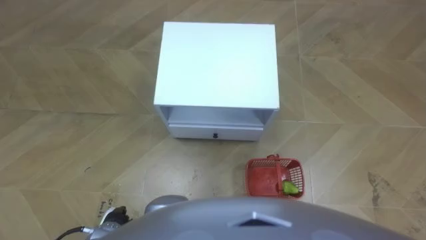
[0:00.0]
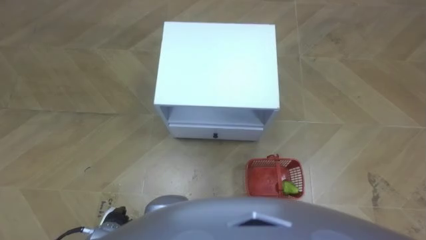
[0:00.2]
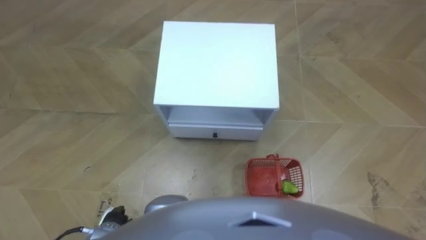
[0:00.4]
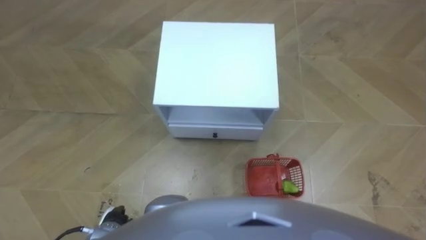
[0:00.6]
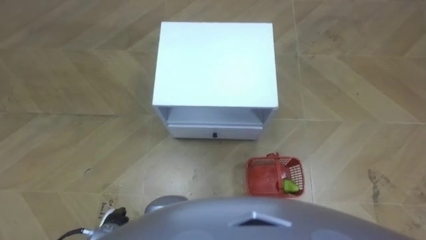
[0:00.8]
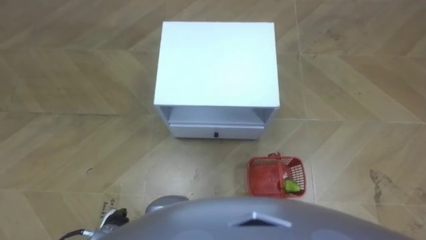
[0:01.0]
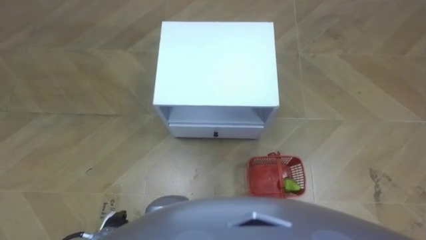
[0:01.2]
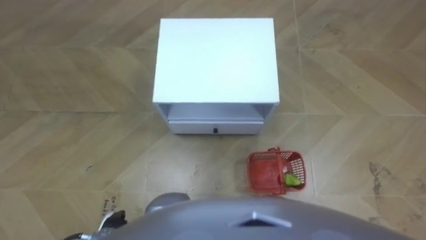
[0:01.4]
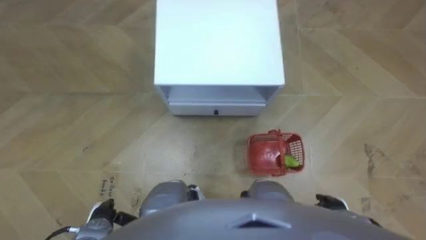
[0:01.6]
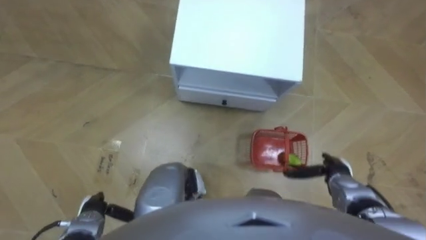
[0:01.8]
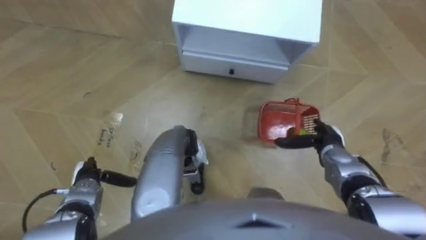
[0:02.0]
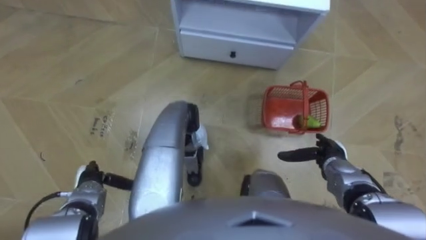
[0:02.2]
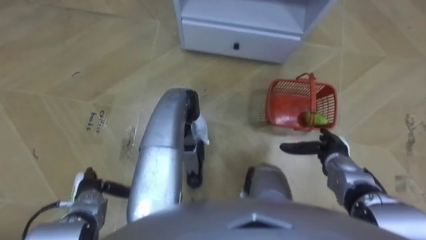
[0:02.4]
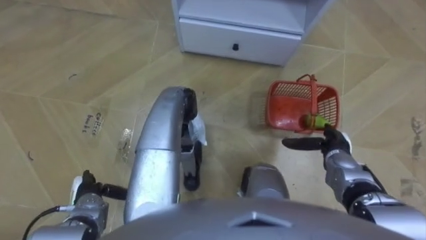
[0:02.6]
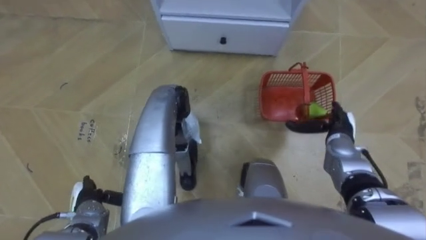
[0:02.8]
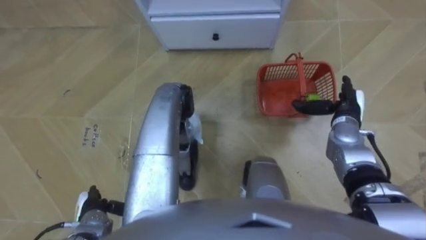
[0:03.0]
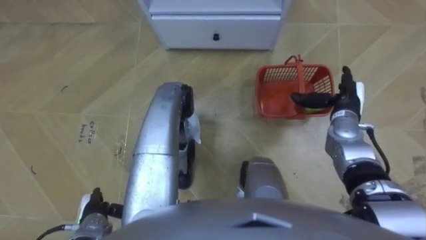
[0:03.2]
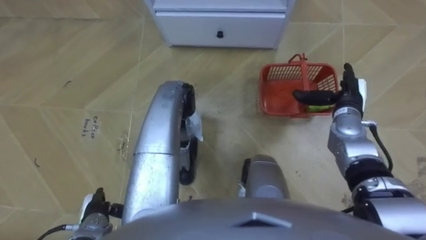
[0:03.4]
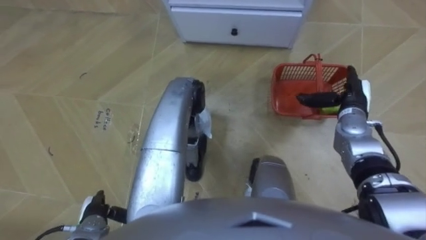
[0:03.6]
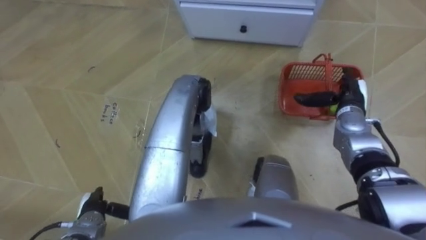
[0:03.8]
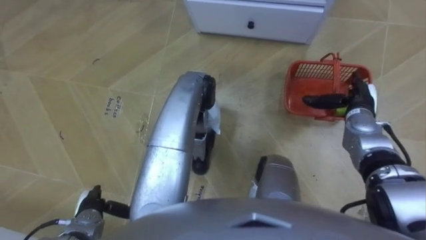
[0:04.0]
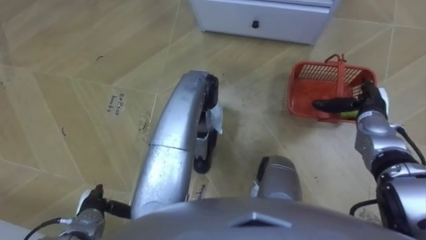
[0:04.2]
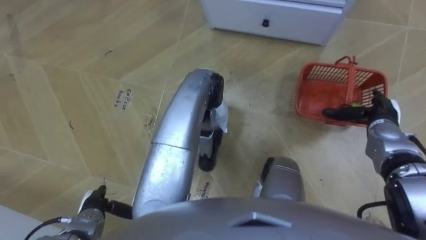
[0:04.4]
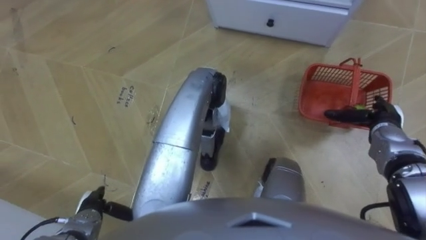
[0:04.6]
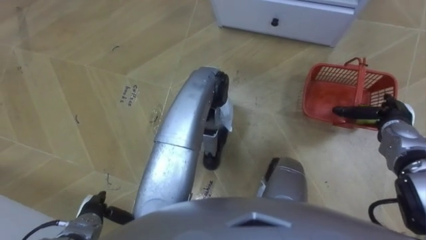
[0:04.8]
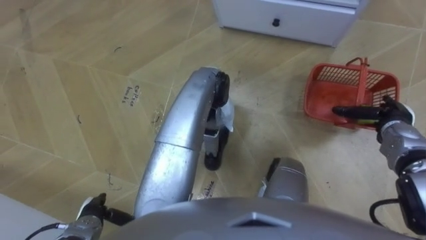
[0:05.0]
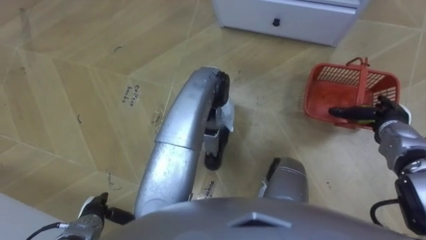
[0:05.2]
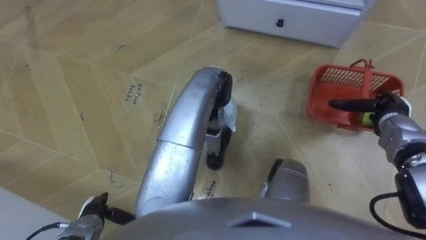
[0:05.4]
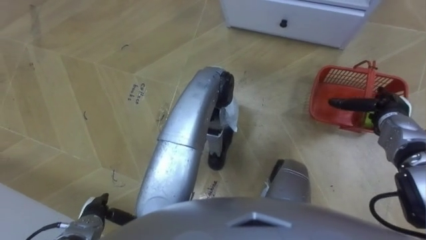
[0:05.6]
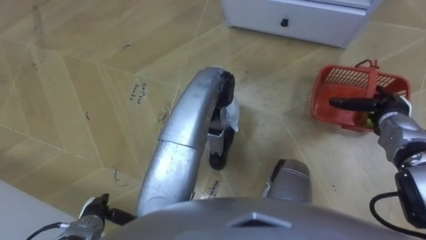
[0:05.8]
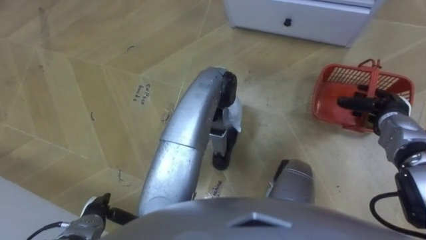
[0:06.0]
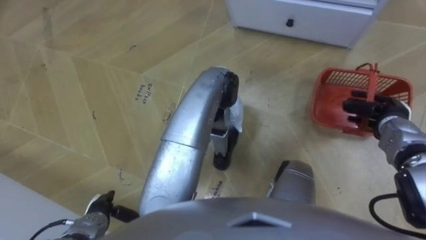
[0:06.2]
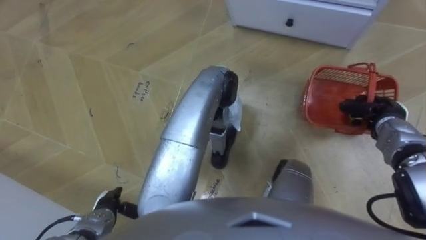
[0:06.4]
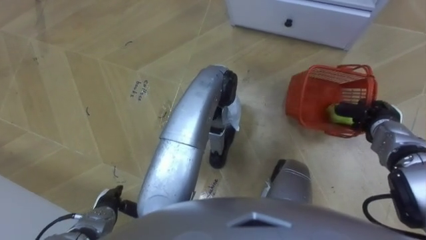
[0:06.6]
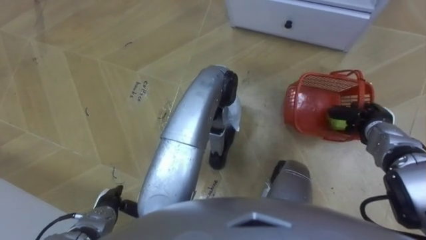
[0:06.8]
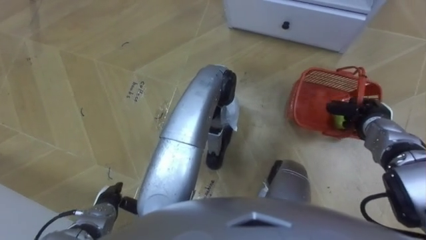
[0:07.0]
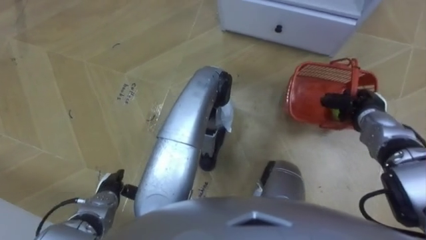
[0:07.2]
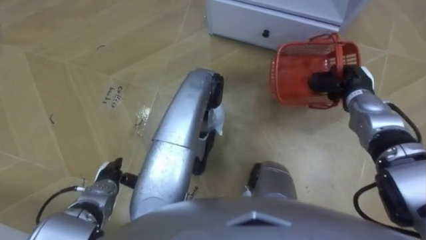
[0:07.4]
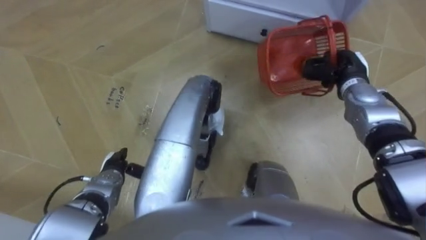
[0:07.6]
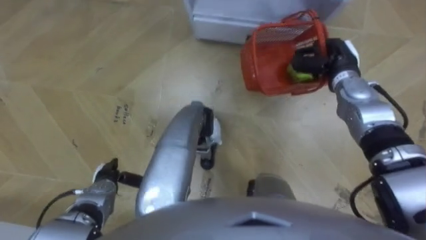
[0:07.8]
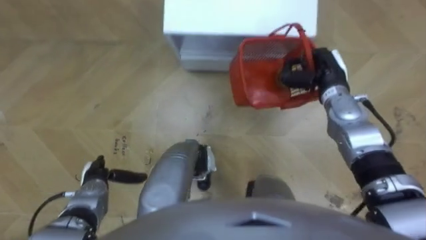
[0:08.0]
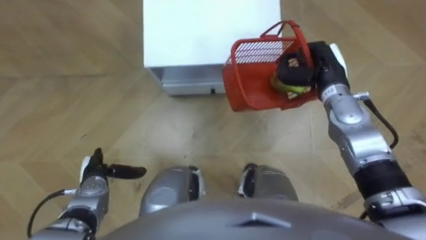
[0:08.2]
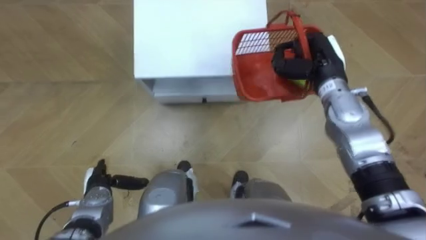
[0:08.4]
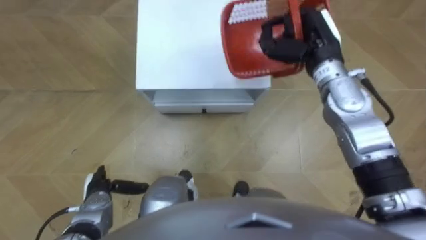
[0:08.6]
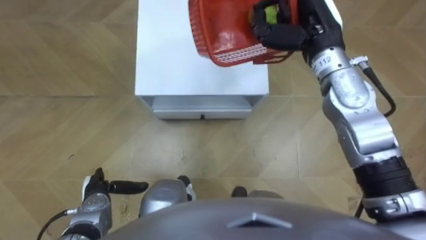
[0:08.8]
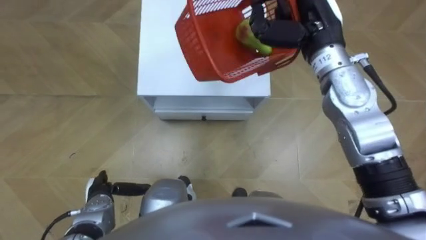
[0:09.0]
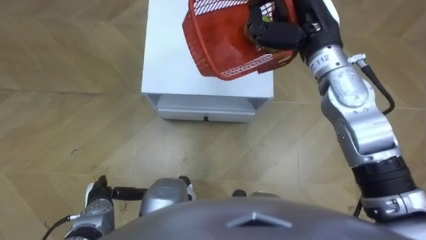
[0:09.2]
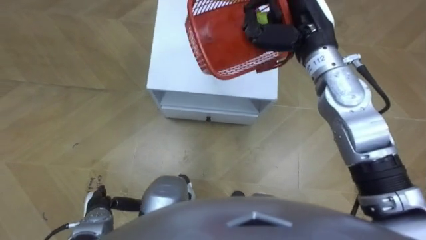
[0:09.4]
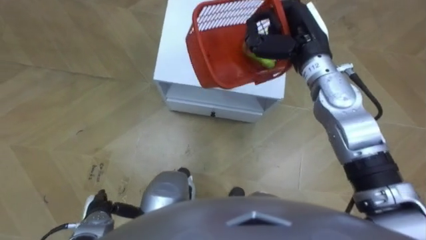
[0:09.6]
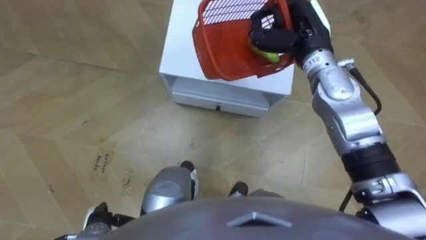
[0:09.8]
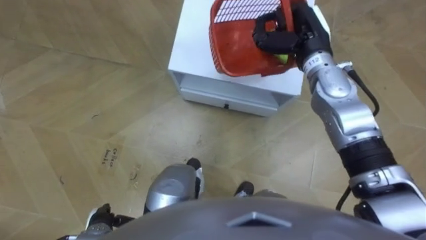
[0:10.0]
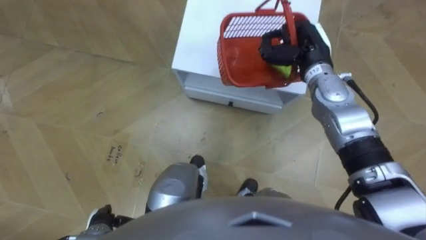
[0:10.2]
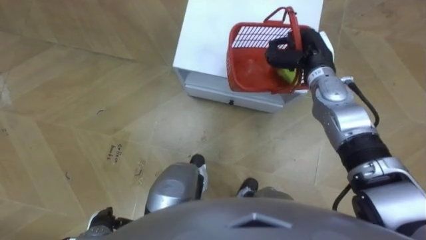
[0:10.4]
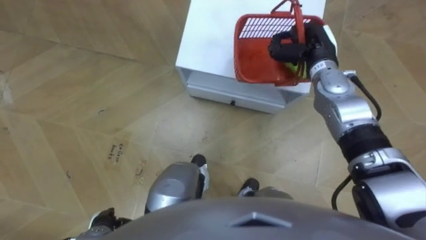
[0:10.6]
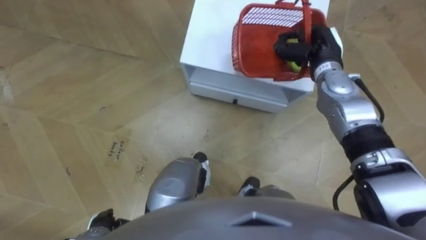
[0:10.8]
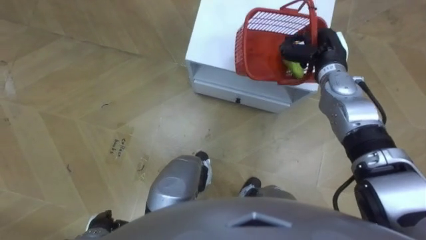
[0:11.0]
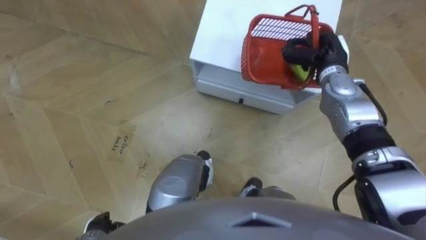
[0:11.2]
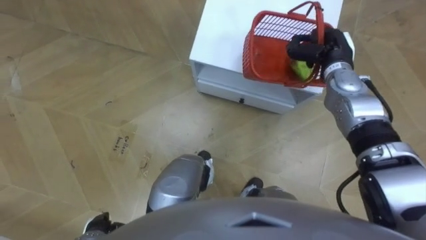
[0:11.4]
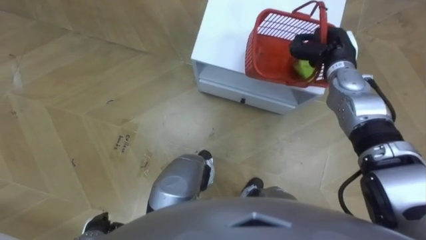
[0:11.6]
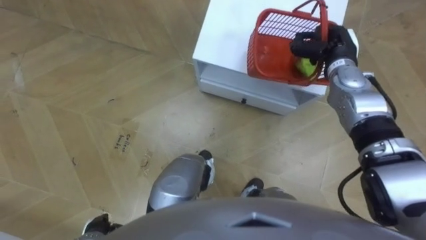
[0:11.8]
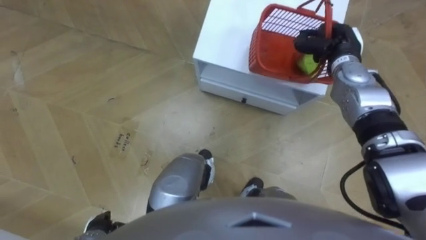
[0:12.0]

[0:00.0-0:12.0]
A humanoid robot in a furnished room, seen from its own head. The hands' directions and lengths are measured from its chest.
Task of the whole recording: Pick up the fruit basket from the floor and place it on the cabinet.
0:01.6 to 0:03.0: The right hand goes roughly 25 cm forward and upward; the left hand reaches about 10 cm forward, then returns.
0:03.0 to 0:04.4: The right hand travels to the right by roughly 5 cm.
0:06.0 to 0:07.6: The right hand is displaced to the left and forward by about 10 cm, and closes. Meanwhile the left hand moves forward, roughly 10 cm.
0:07.6 to 0:09.0: The right hand shifts about 20 cm upward and to the left, while the left hand moves backward, roughly 5 cm.
0:09.0 to 0:10.4: The left hand goes some 5 cm backward; the right hand shifts approximately 10 cm downward.
0:10.4 to 0:12.0: The right hand shifts about 5 cm to the right.

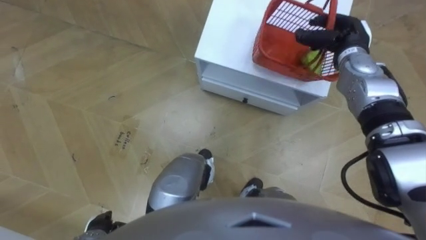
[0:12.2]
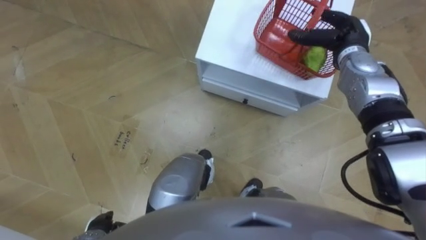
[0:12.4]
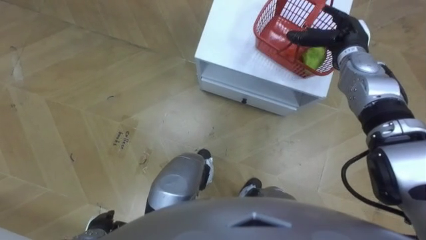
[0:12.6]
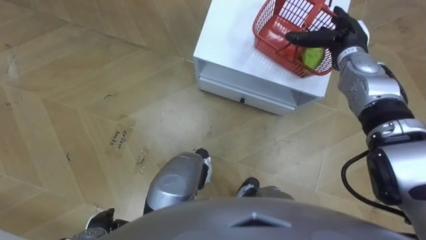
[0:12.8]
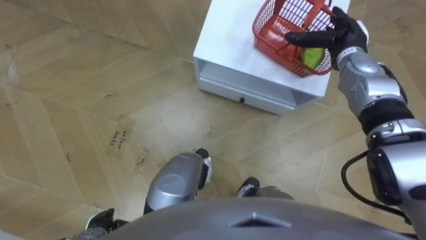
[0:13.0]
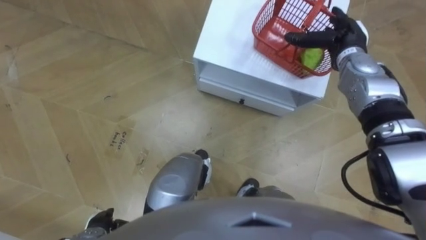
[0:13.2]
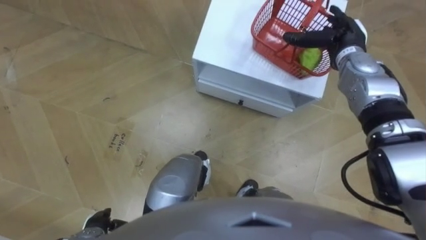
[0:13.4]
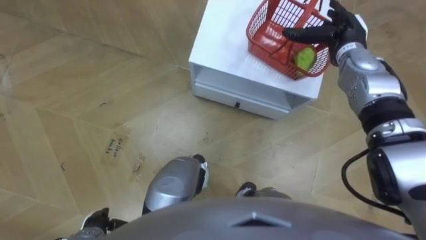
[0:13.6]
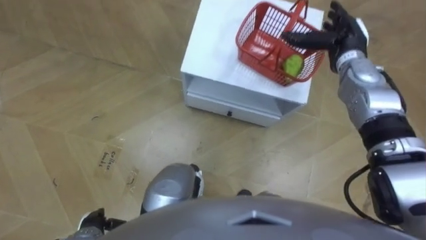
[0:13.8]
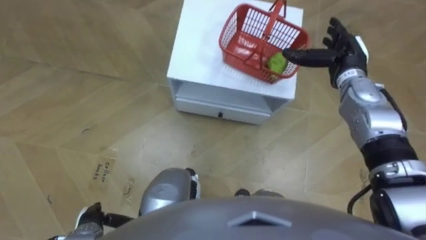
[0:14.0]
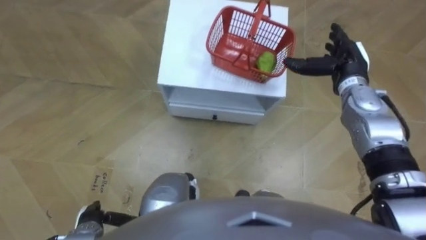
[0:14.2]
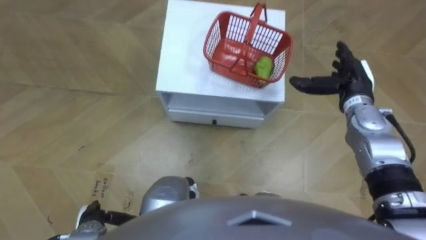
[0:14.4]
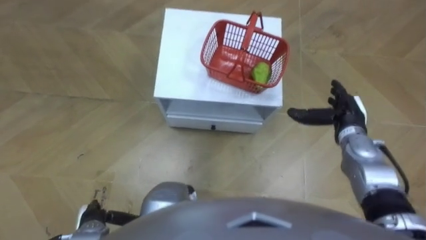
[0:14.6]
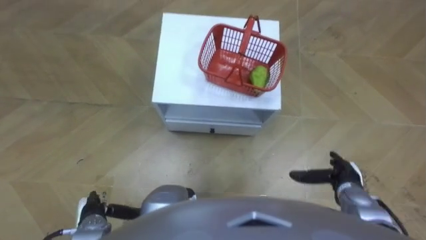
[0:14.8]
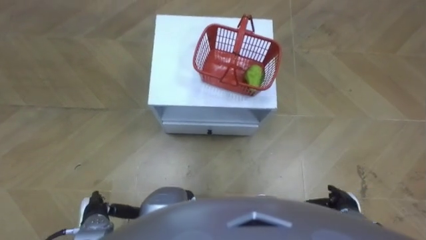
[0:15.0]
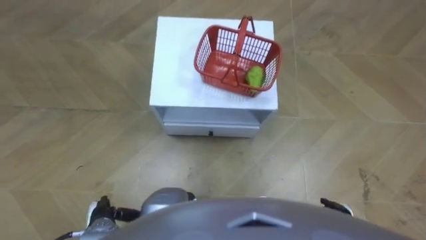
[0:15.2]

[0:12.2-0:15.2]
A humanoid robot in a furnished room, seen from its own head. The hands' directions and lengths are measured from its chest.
Task of the whole recording: Pick up the fruit basket from the floor and place it on the cabinet.
0:12.2 to 0:13.8: The right hand opens up.
0:13.8 to 0:15.2: The right hand travels backward and downward by approximately 40 cm.

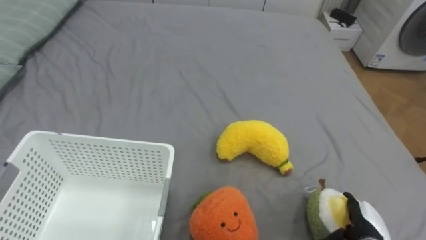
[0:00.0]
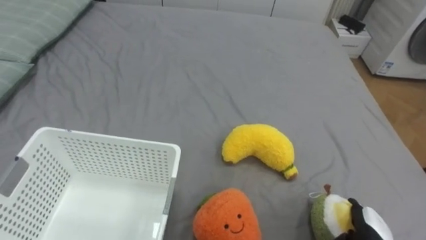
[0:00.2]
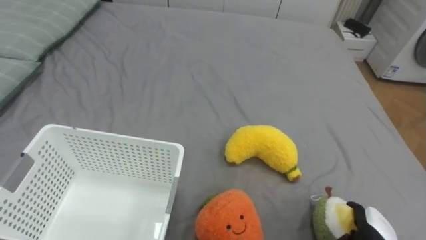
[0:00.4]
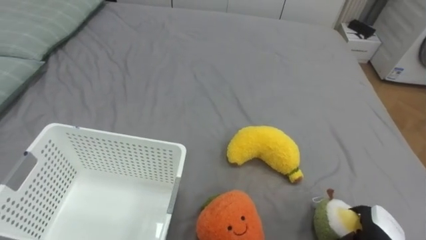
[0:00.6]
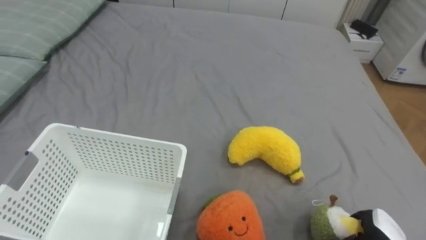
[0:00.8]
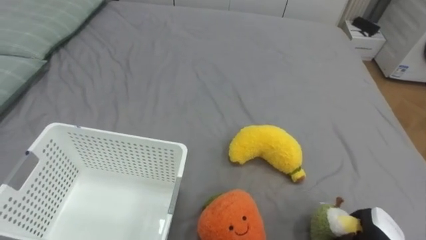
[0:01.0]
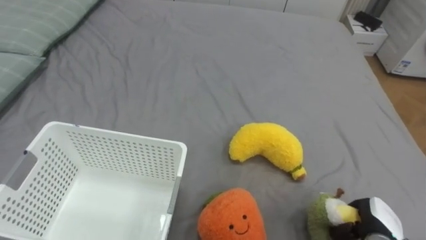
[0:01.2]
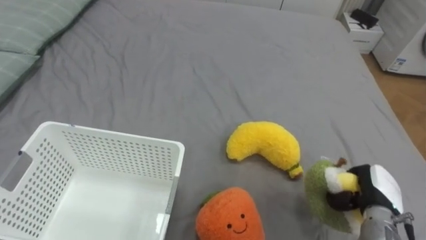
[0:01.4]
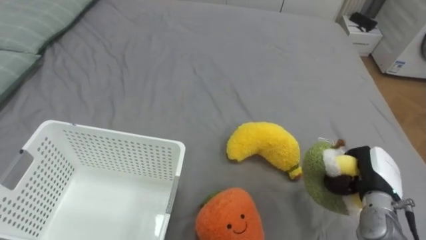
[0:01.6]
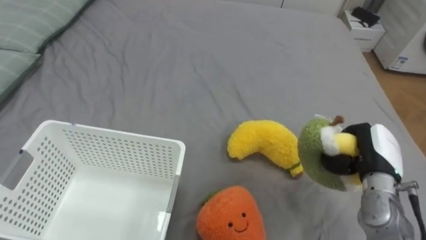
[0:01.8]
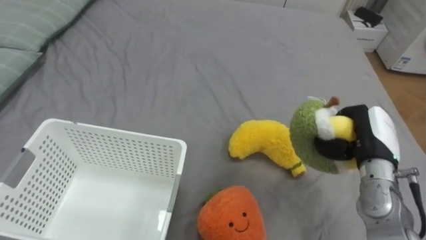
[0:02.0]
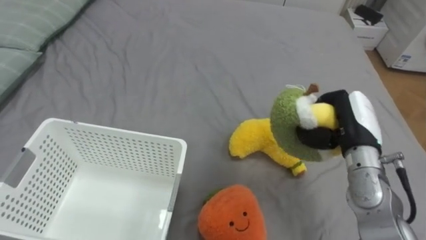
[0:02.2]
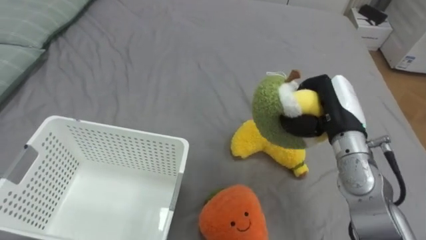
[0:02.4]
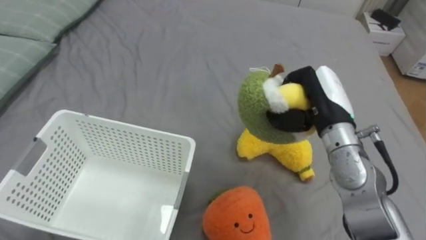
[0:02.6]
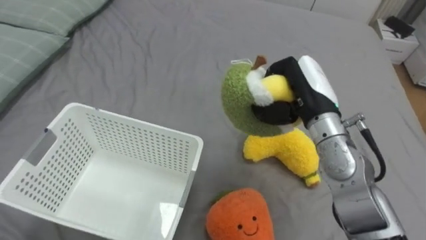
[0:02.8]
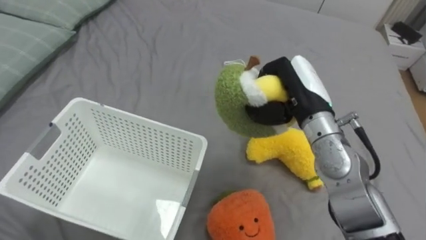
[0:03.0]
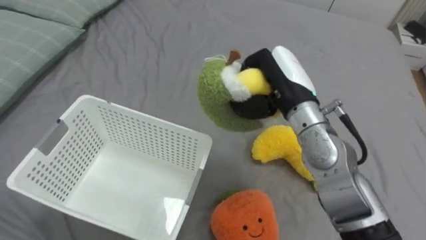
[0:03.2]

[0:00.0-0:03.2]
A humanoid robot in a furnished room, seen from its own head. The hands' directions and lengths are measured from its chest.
Task of the whole recording: Put the toys on the bed into the basket on the left.
0:00.0 to 0:01.6: The right hand is displaced upward and forward by about 10 cm, and closes its fingers.
0:01.6 to 0:03.2: The right hand travels to the left, upward and forward by approximately 25 cm.
